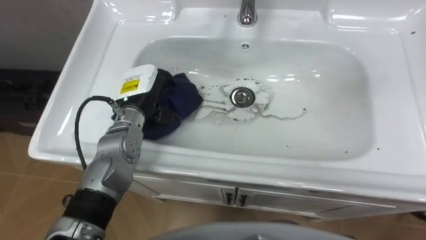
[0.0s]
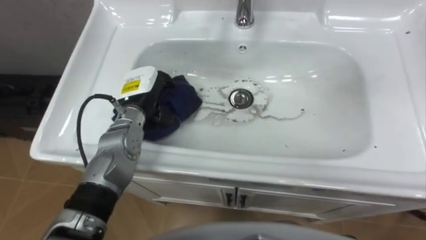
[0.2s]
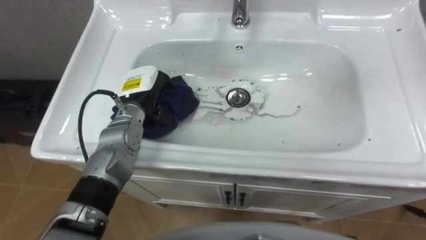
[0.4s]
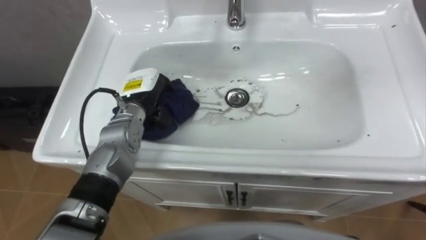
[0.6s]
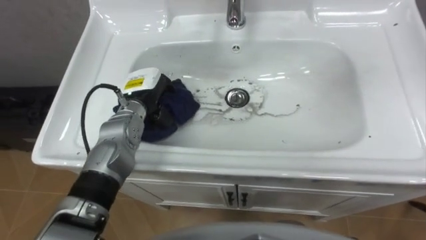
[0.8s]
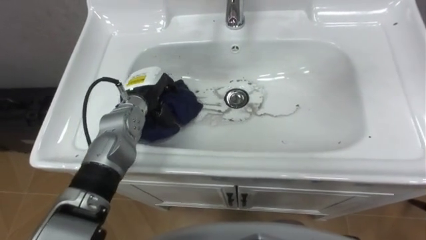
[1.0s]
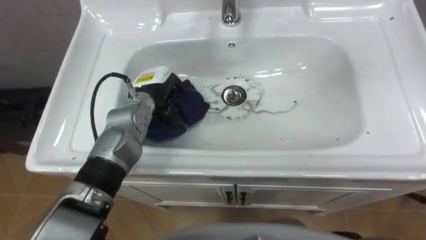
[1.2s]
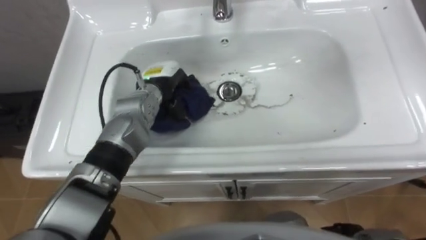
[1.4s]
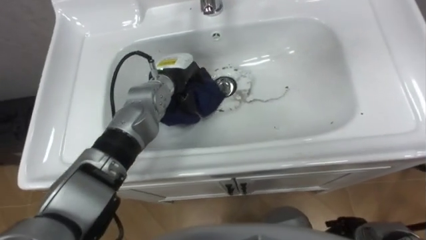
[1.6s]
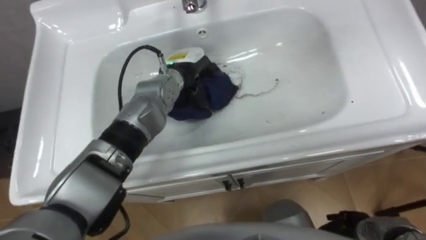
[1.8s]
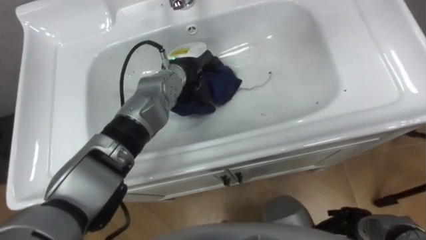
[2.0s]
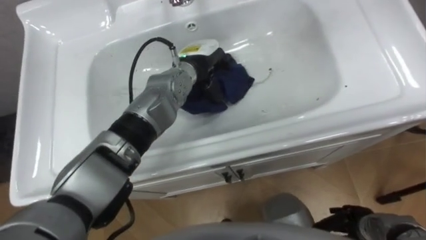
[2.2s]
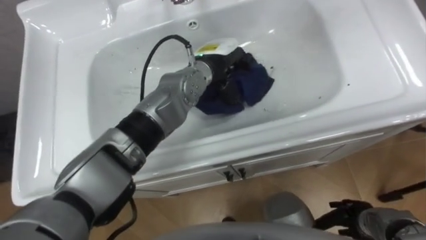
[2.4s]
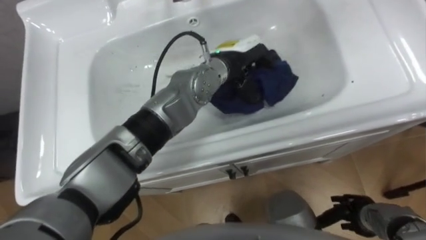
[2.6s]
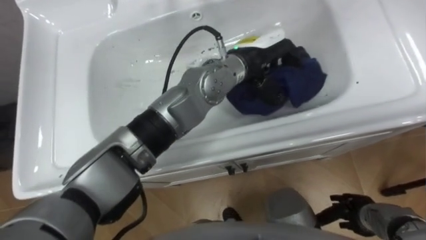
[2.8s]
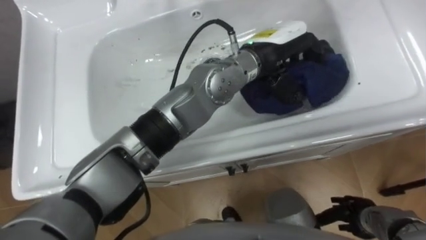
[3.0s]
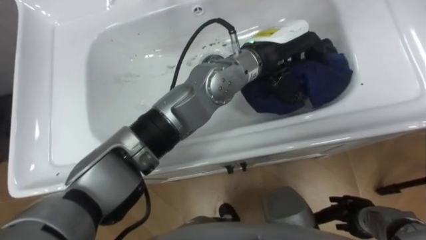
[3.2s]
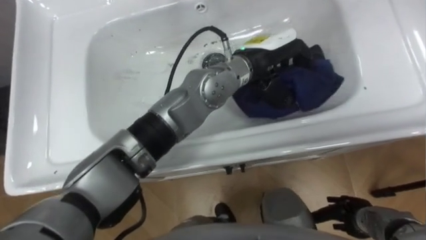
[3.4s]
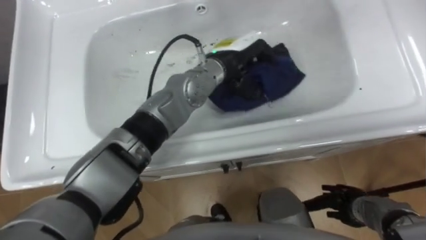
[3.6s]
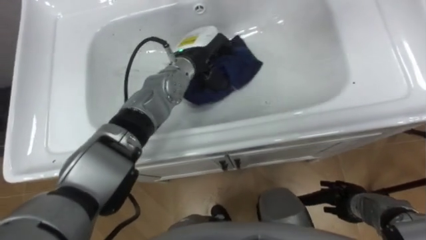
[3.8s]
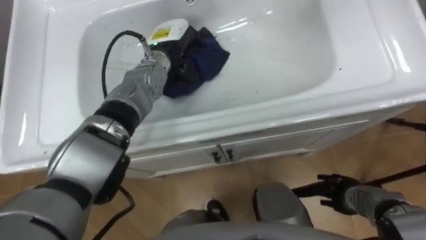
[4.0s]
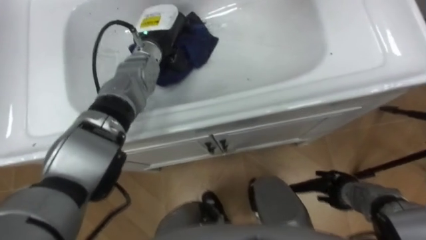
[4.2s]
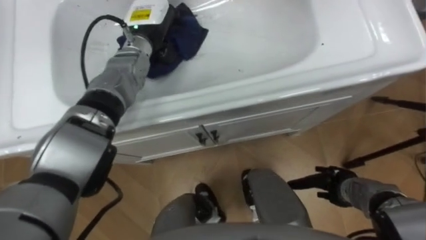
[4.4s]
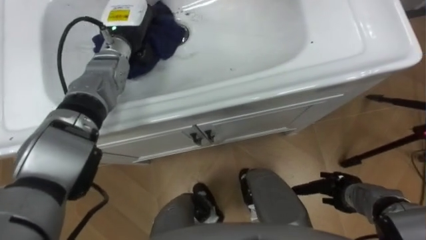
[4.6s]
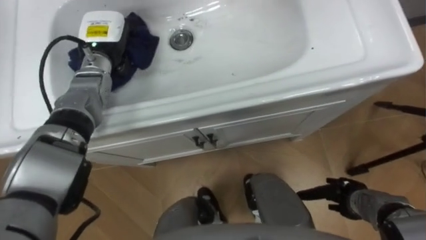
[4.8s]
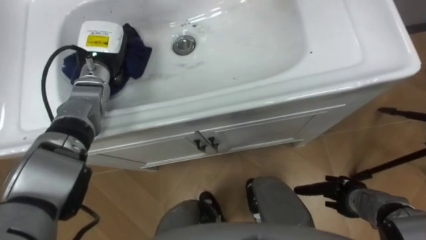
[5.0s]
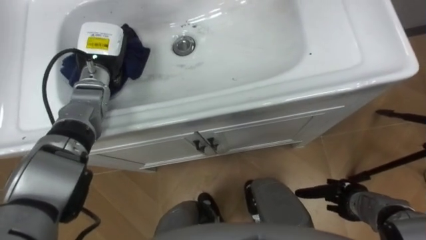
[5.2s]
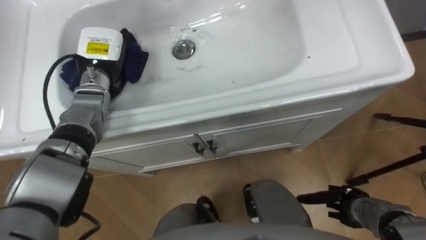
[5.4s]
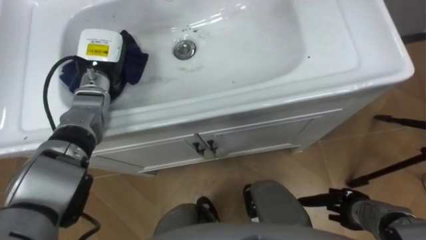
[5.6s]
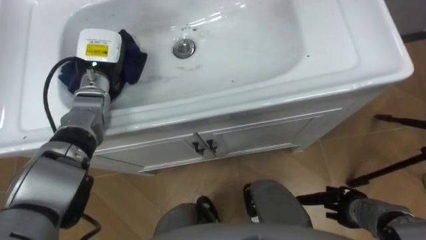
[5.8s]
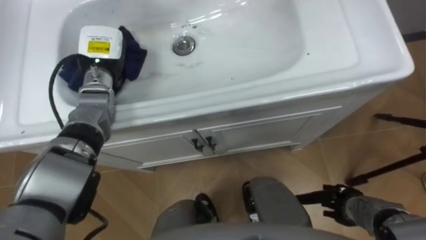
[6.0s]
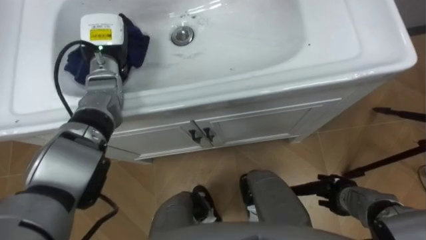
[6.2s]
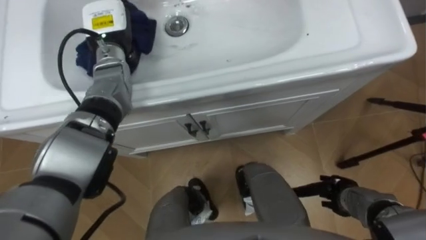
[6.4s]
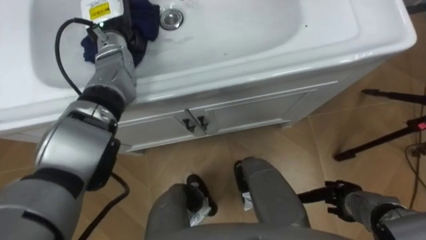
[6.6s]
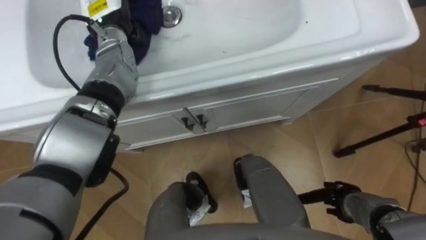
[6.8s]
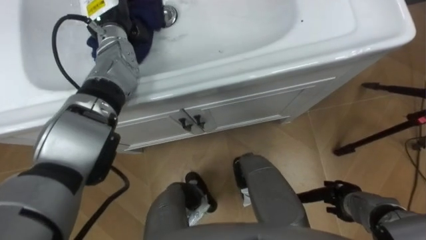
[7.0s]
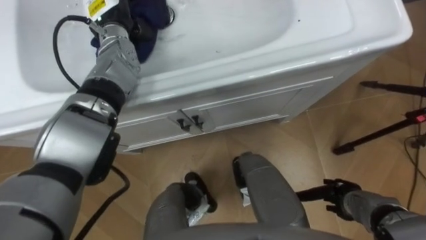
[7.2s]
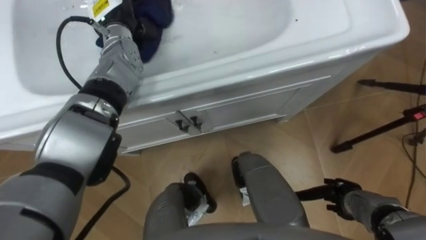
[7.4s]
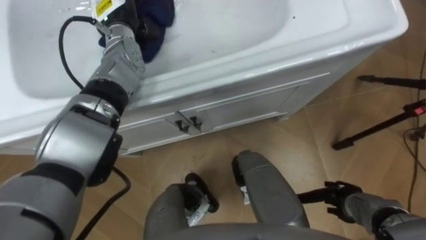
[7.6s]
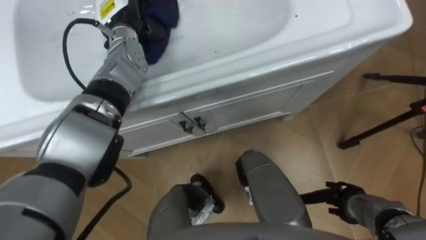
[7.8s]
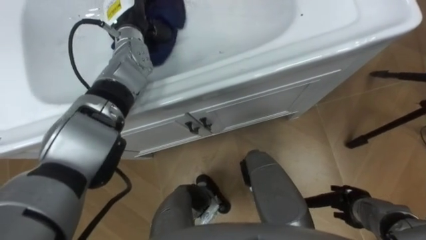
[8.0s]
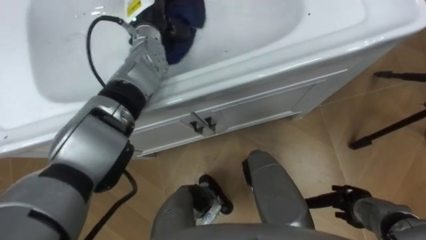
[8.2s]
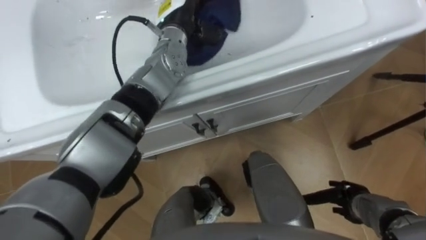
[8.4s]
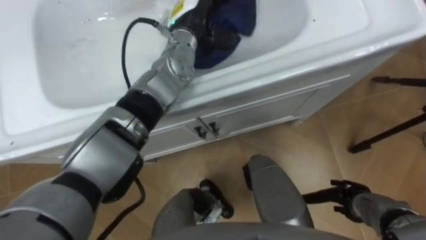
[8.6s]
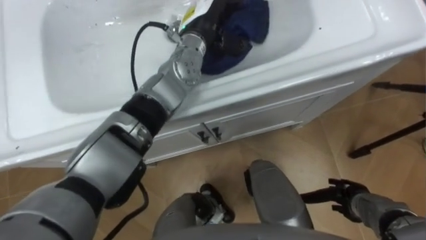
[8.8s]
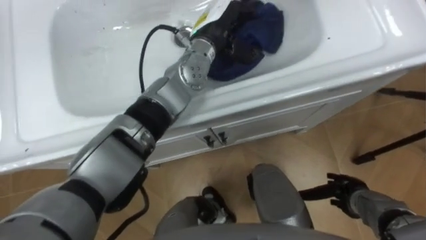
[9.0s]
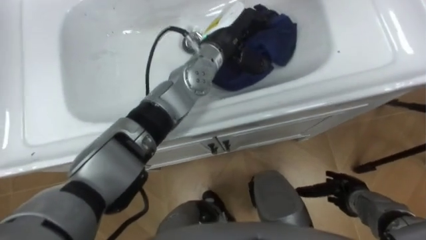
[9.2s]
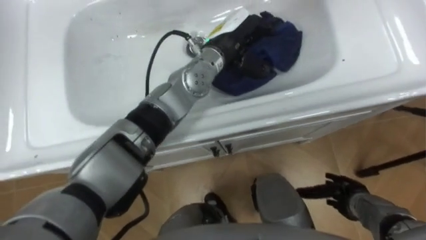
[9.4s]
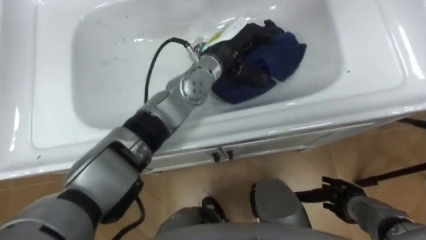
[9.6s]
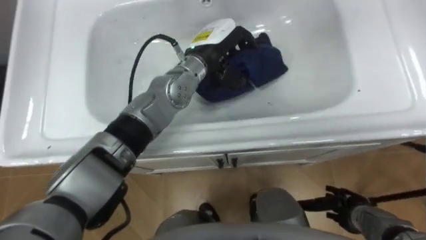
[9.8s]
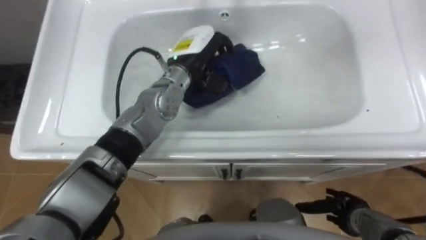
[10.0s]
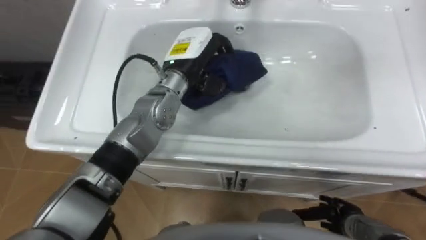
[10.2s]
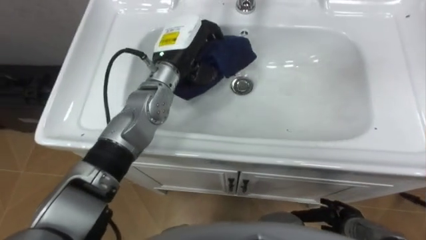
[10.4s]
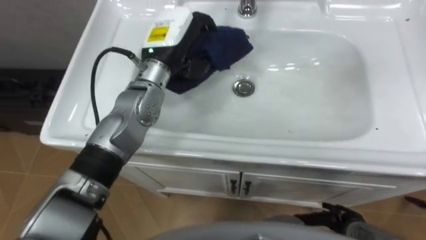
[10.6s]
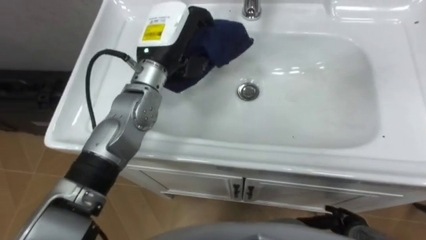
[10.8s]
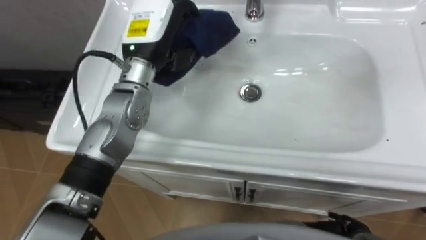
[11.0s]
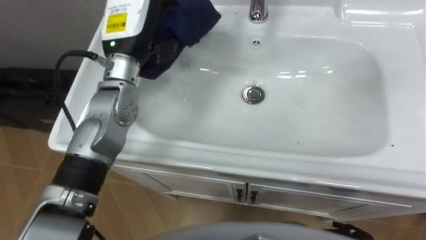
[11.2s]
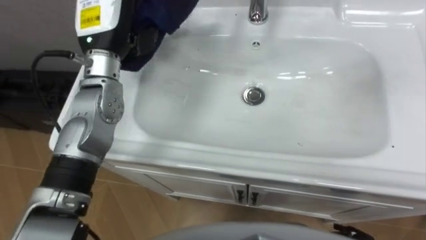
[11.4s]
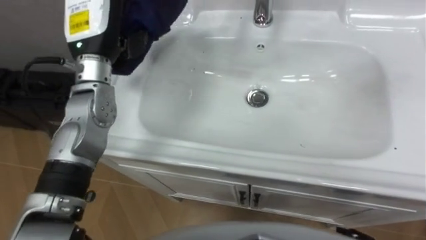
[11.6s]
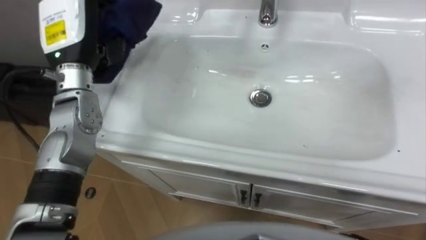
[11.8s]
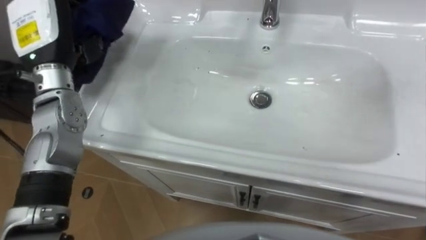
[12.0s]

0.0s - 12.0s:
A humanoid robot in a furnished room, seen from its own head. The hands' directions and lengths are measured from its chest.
Task of the whole recording: Use the cloth on the right to wipe away the black stain in the sink.
0.0s - 1.6s: The left hand heads to the right, covering about 5 cm.
1.6s - 3.0s: The left hand shifts some 20 cm to the right and upward.
3.0s - 4.4s: The left hand travels to the left and forward by about 25 cm. Meanwhile the right hand goes approximately 5 cm forward.
4.4s - 6.0s: The left hand travels to the left by about 10 cm.
6.0s - 7.6s: The left hand heads upward, forward and to the right, covering some 10 cm.
7.6s - 9.0s: The left hand shifts approximately 20 cm to the right.
9.0s - 10.4s: The left hand shifts some 10 cm to the left; the right hand goes some 5 cm backward.
10.4s - 12.0s: The left hand travels to the left by approximately 20 cm.

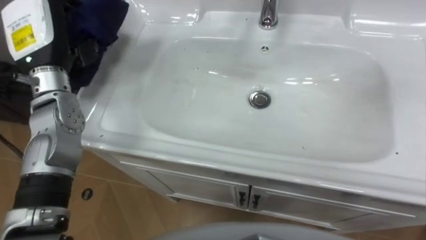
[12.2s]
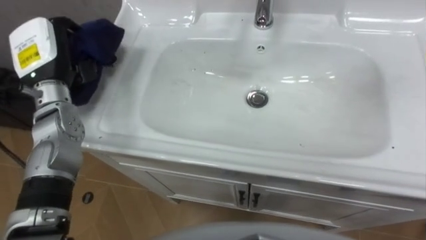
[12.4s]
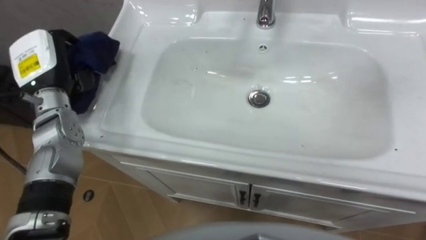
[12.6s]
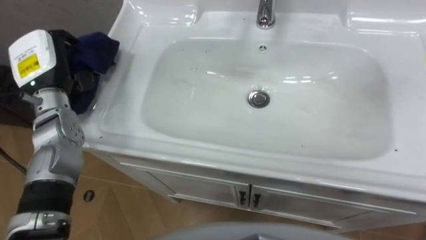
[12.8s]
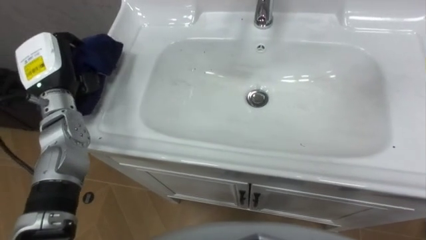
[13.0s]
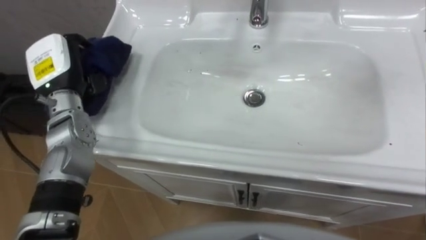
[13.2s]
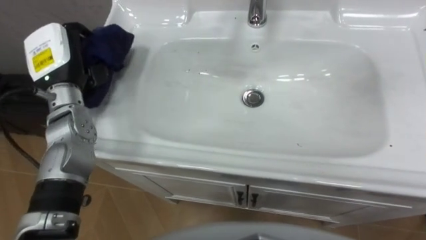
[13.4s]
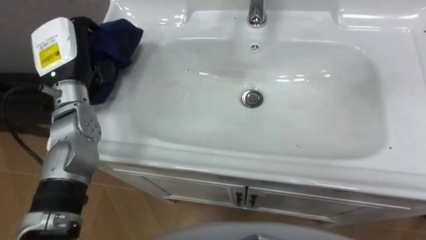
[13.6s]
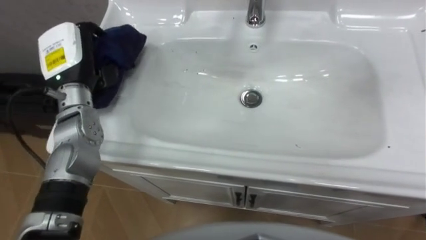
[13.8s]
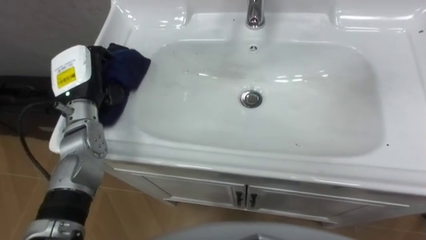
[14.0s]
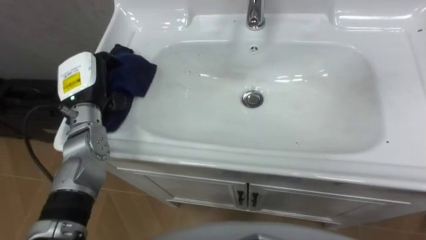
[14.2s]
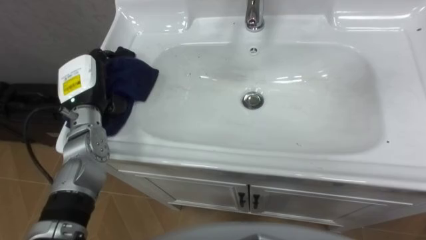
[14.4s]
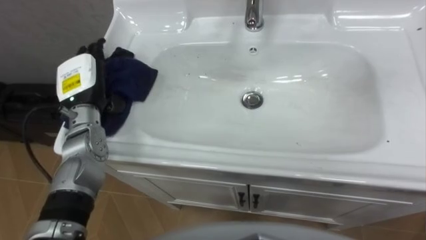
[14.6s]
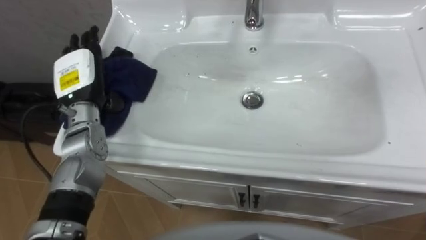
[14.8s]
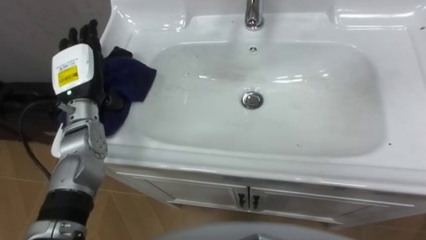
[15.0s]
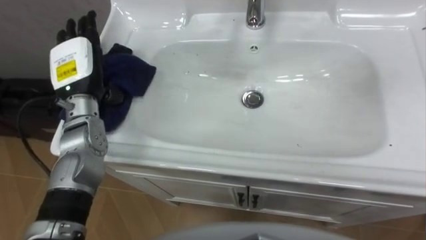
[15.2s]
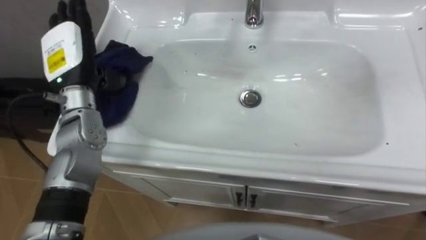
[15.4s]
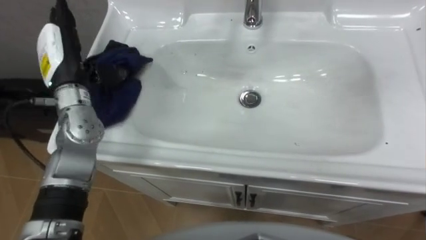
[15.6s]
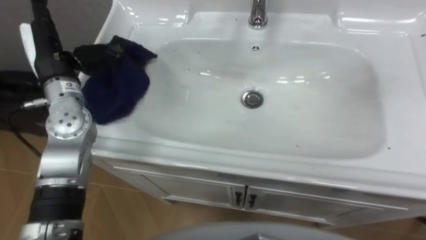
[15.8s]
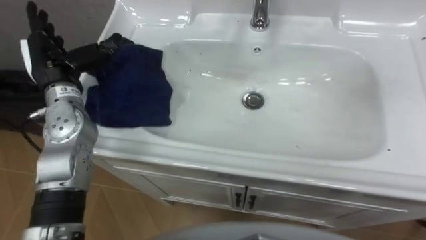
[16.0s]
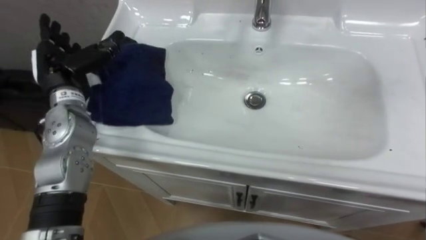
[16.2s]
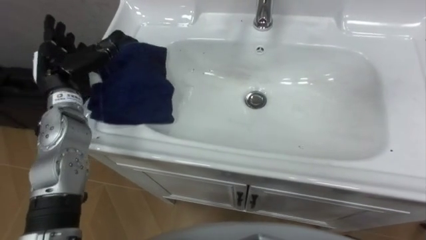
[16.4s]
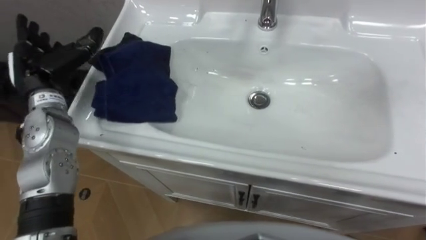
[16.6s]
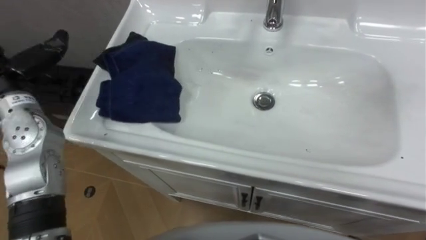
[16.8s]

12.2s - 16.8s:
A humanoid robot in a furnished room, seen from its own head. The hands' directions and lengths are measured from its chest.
Task of the whole recording: Use the cloth on the right to wipe away the black stain in the sink.
12.2s - 13.8s: The left hand changes place by roughly 5 cm.
13.8s - 15.2s: The left hand opens up.
